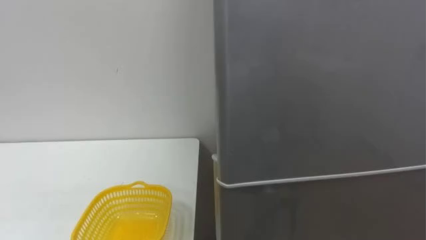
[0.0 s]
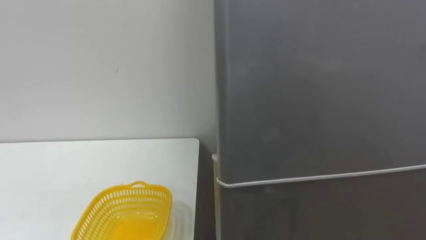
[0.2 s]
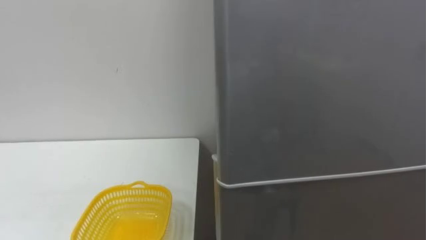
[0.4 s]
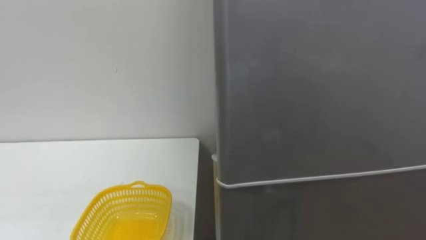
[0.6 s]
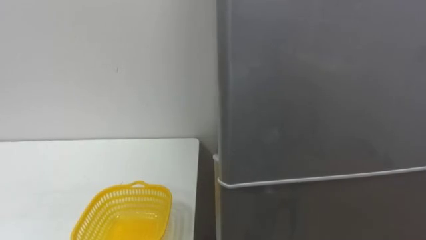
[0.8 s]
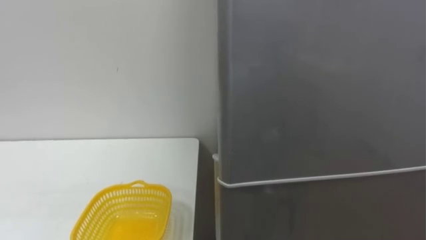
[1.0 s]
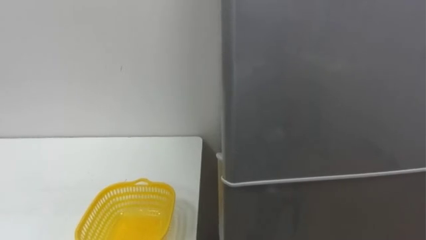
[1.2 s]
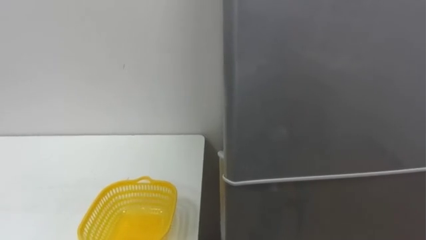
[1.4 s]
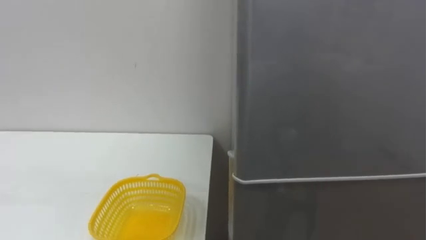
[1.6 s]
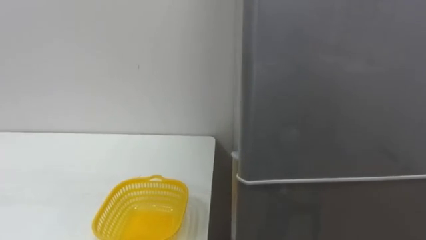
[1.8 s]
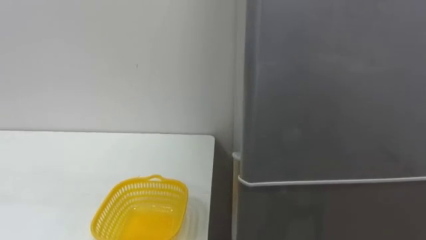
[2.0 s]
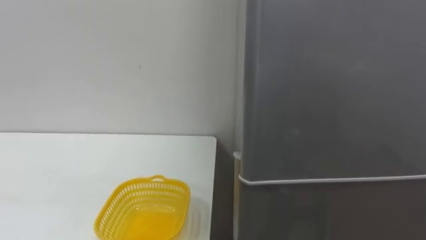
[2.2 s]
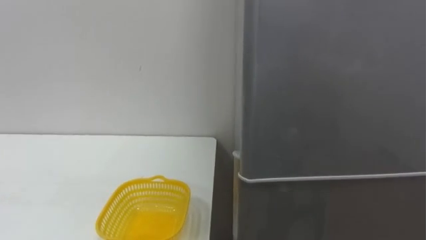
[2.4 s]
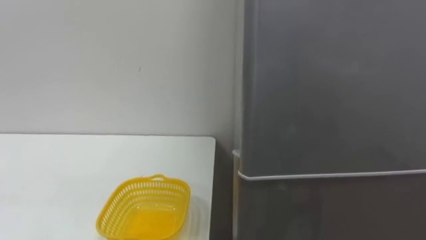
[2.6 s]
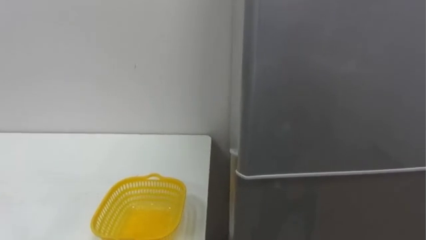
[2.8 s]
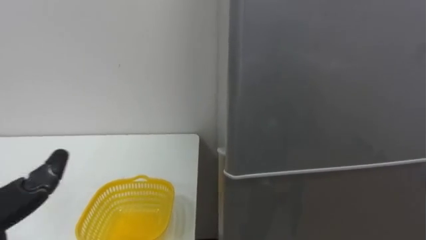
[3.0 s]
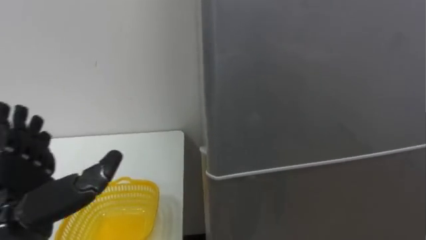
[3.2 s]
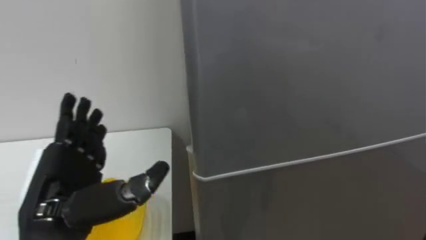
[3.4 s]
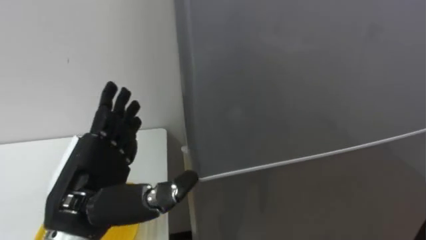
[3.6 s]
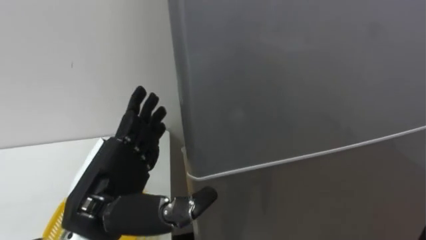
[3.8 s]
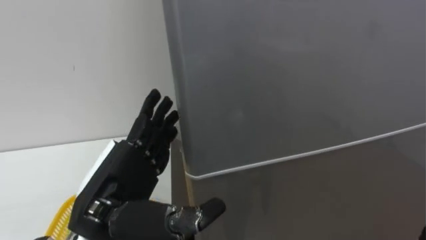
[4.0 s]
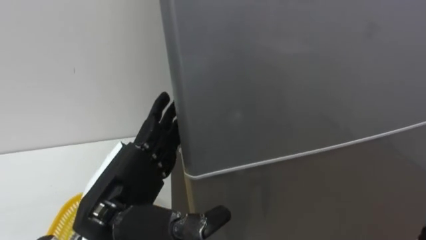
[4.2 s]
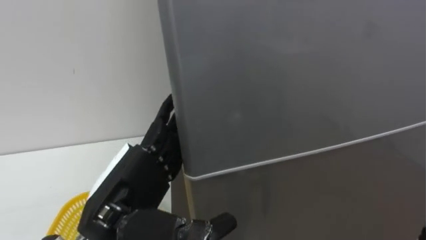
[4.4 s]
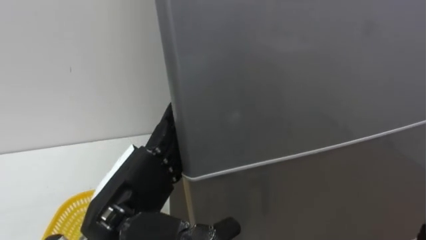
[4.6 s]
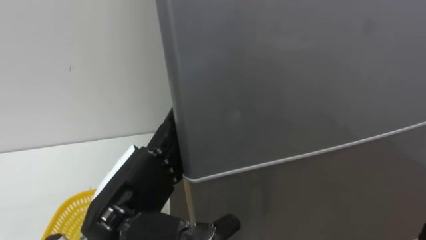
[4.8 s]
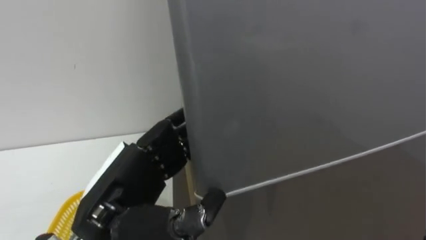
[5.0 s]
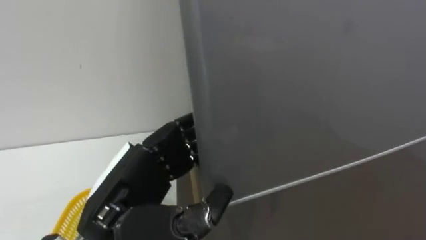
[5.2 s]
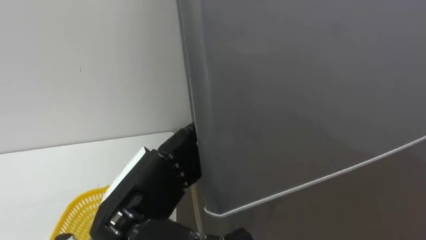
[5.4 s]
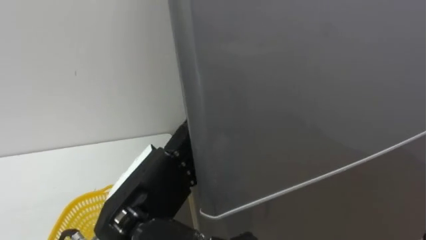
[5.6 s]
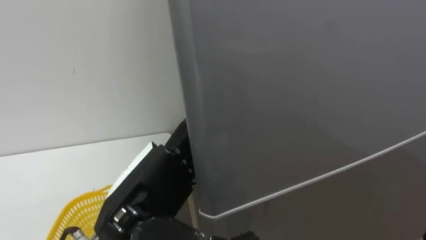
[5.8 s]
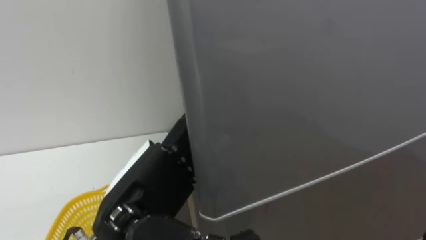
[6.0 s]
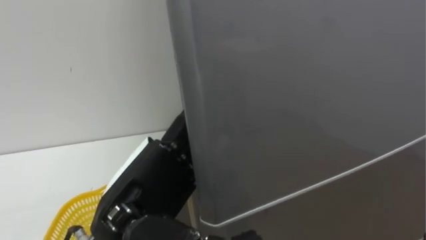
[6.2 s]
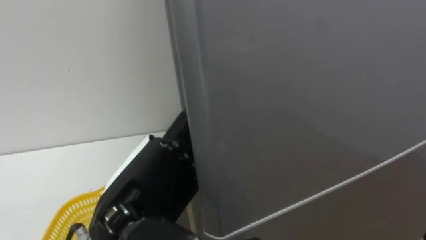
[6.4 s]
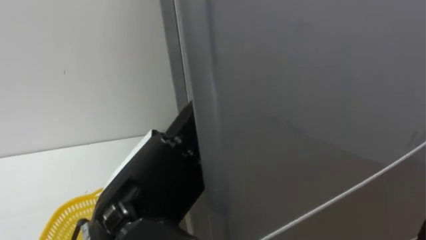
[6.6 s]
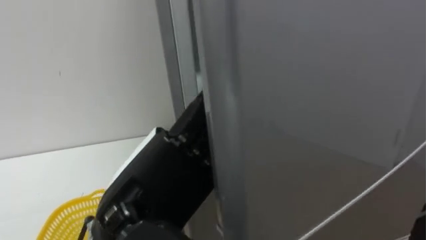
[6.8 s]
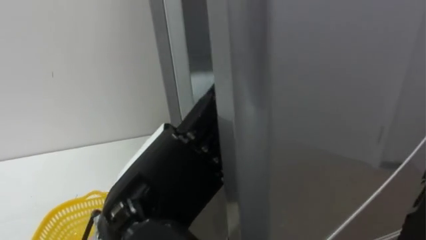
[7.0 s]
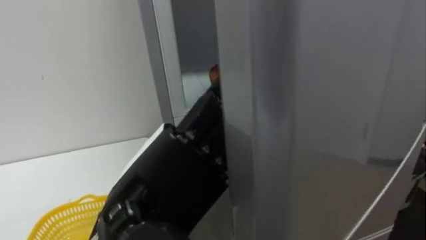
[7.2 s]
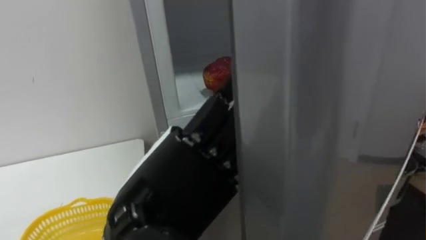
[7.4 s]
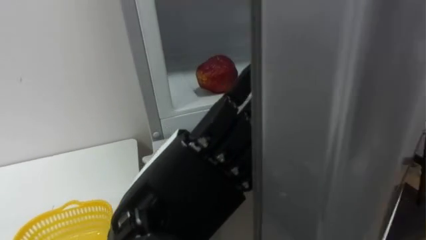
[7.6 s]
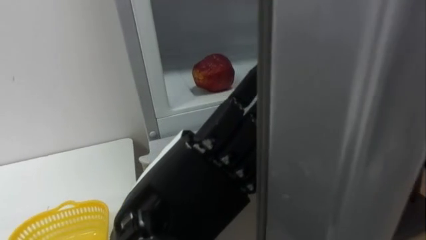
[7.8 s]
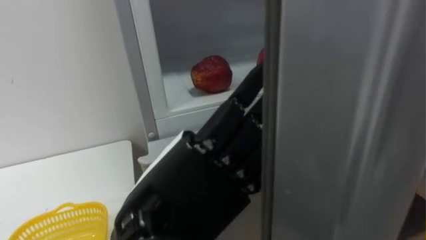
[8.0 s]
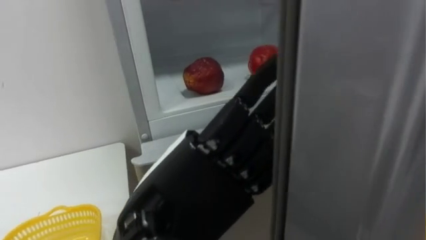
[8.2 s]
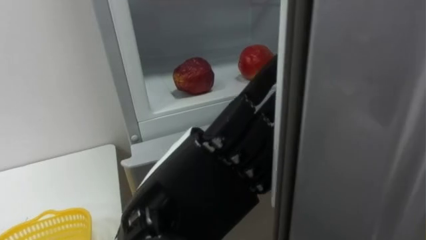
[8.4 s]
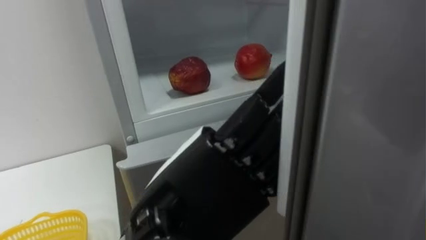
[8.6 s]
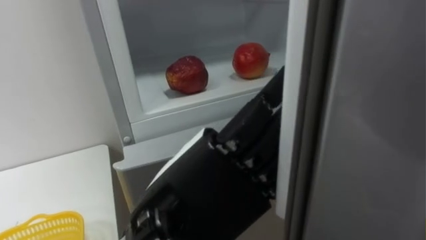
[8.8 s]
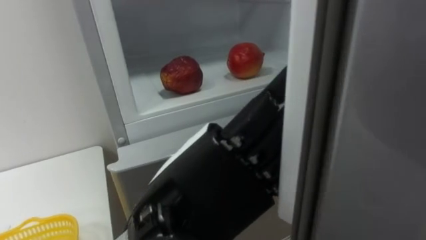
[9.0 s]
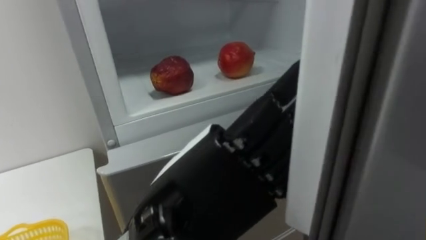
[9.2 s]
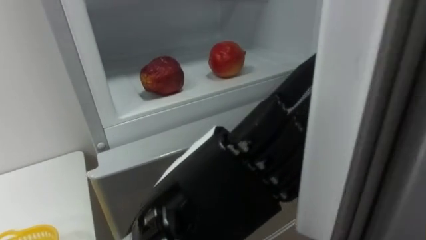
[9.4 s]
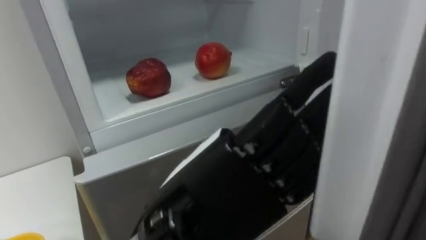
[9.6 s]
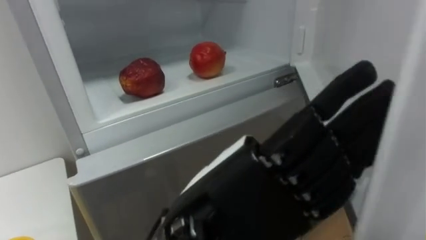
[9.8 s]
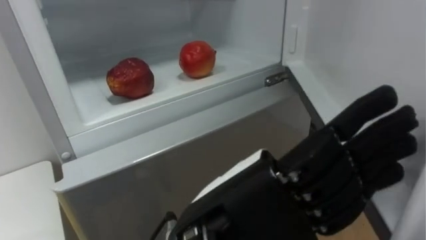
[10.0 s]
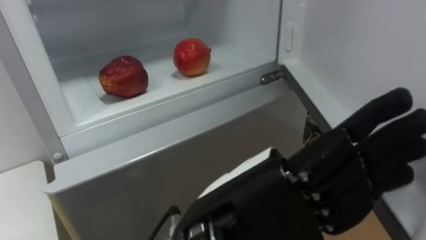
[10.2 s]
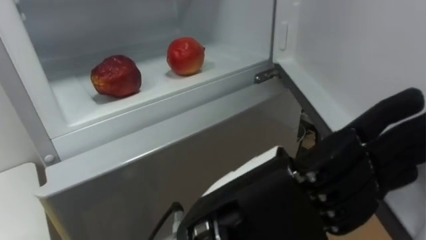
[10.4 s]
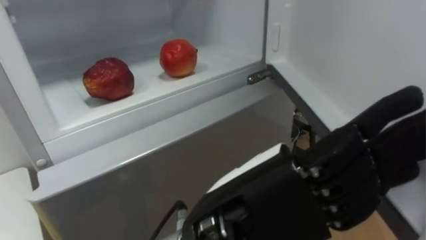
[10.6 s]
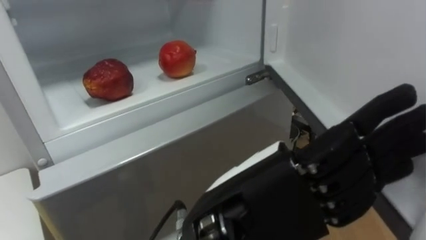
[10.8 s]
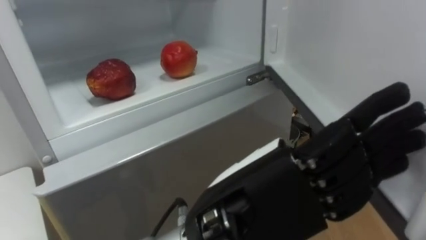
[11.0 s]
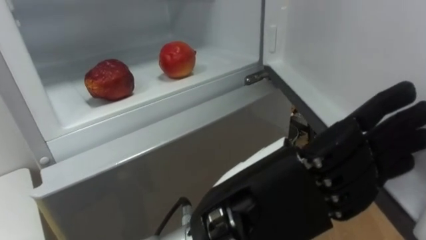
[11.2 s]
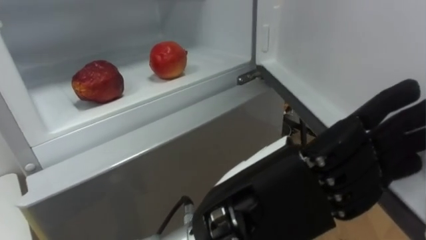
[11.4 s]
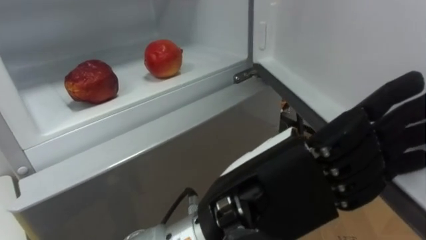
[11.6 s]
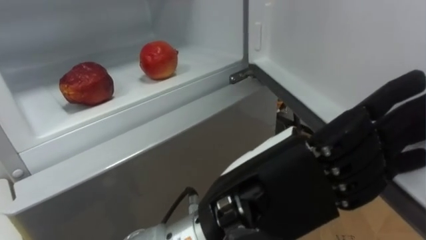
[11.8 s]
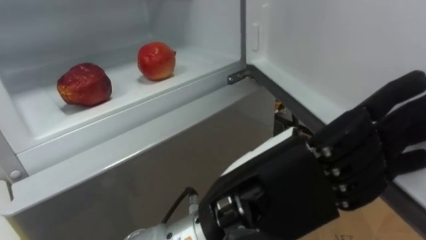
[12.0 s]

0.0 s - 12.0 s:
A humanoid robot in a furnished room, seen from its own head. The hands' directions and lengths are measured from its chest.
Task of the whole recording: Open the refrigerator door, take out the apple and the pomegranate, place them in the fruit basket on the left, and close the refrigerator door.
4.4 s - 6.0 s: The left hand closes, then opens again.
6.0 s - 7.6 s: The left hand ends up approximately 5 cm from where it was.

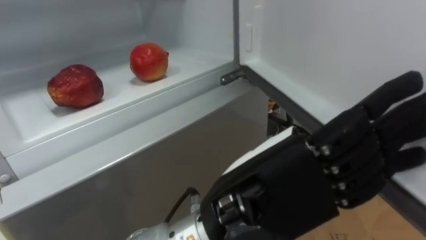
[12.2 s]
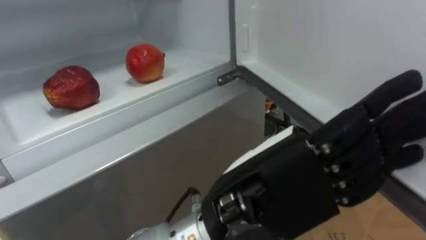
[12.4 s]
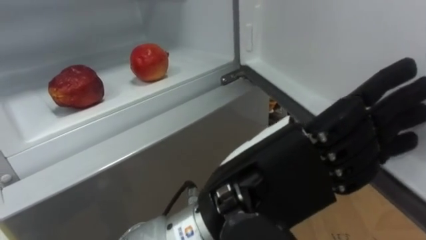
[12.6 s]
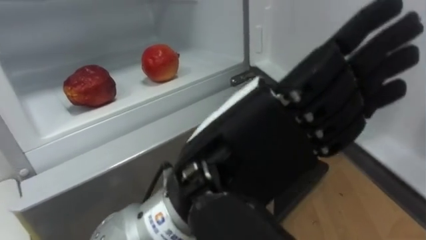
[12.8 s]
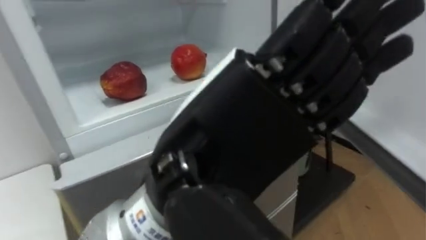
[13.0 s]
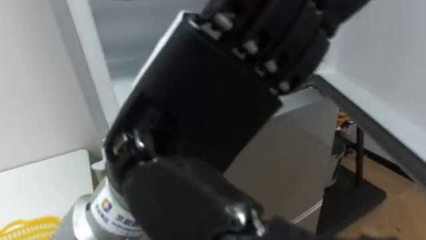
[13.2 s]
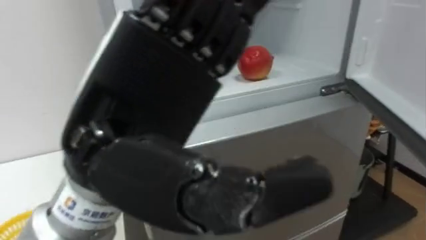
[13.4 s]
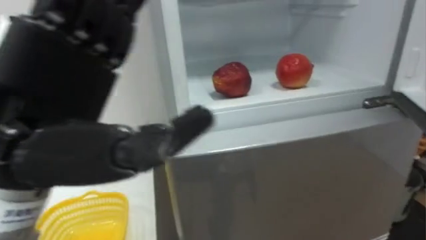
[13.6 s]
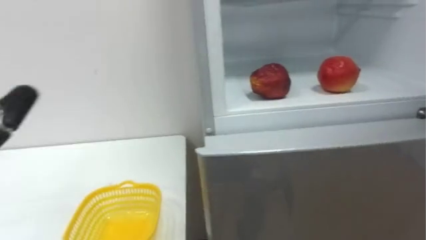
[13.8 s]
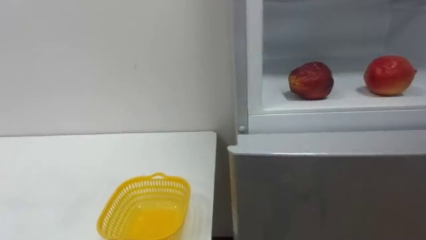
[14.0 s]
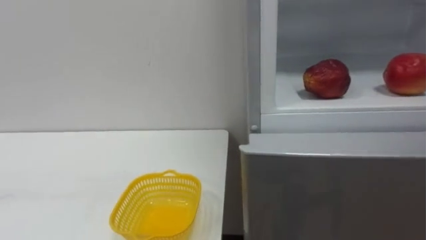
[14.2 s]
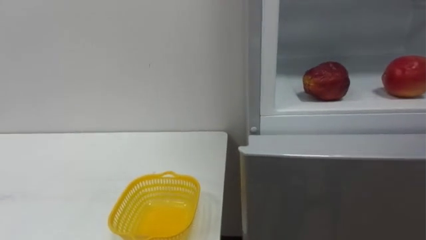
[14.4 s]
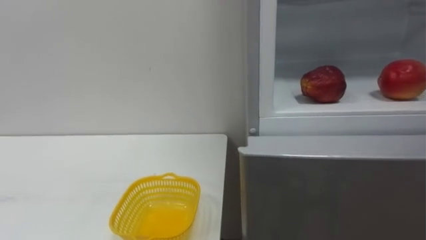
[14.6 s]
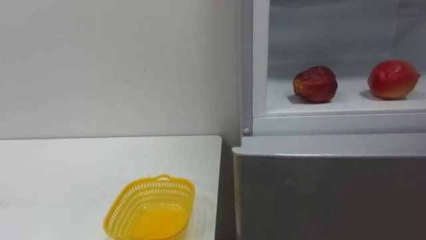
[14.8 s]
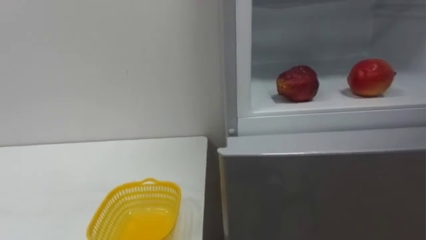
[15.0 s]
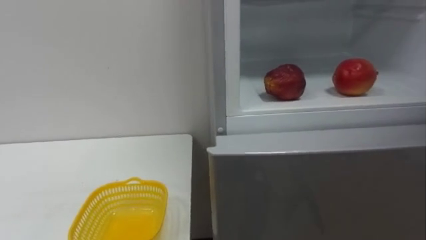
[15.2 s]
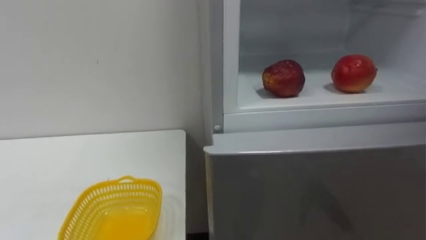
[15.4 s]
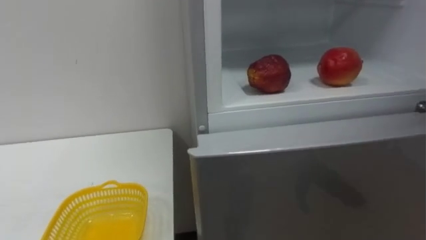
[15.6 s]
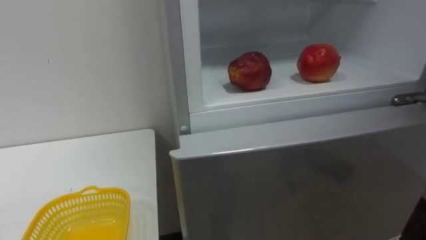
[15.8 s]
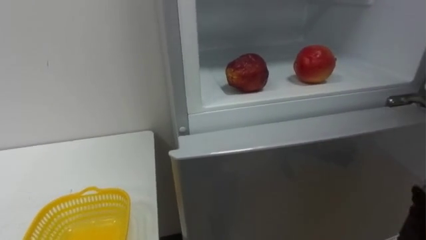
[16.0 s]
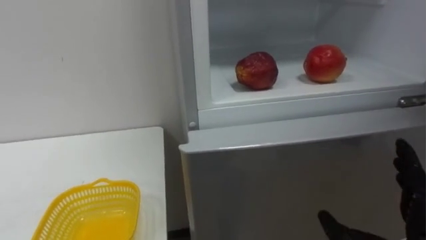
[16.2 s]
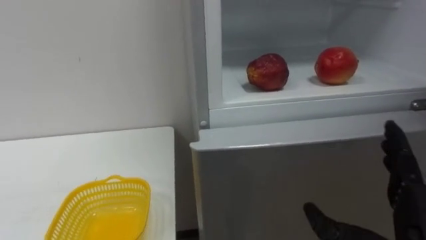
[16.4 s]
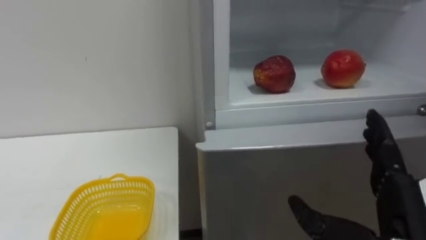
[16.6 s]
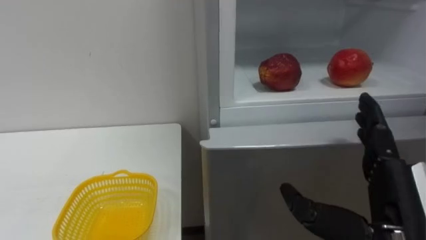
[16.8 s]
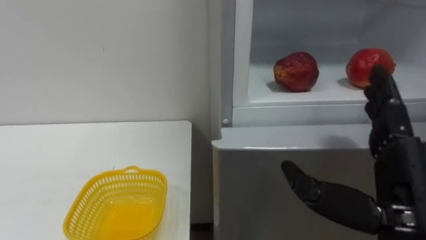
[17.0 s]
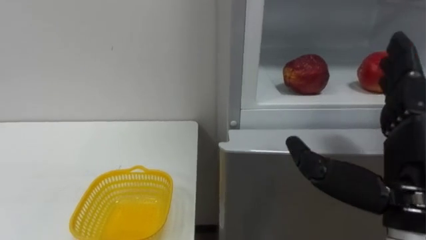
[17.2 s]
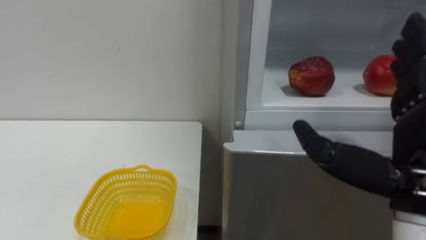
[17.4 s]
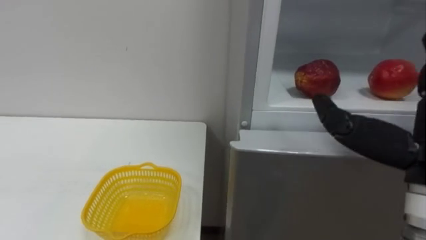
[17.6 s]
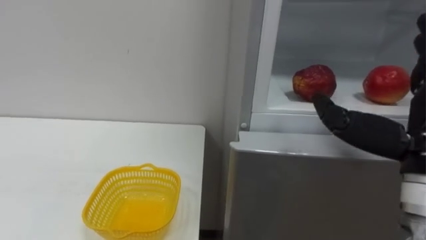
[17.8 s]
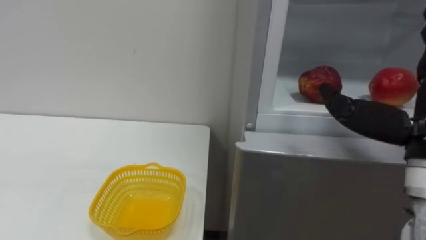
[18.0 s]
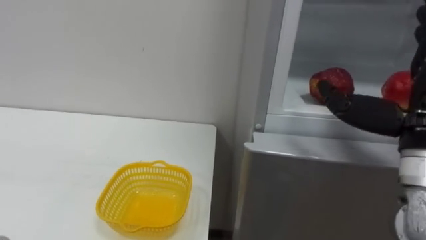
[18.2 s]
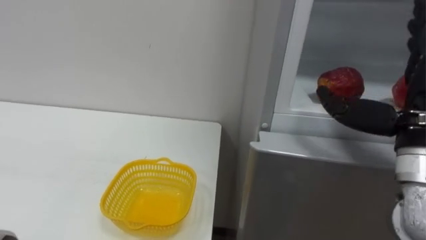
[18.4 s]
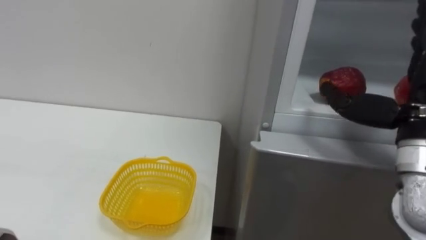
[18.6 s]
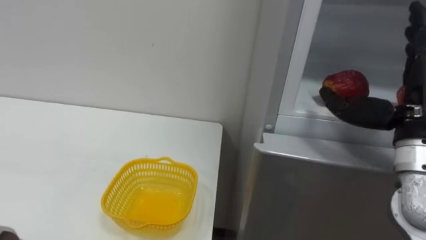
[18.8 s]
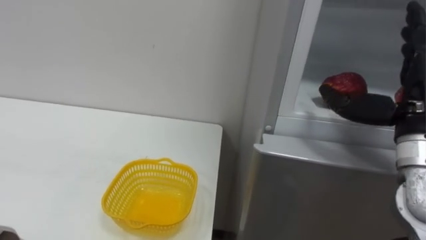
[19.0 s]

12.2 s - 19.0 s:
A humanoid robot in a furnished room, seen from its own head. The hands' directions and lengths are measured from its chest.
Task of the whole recording: Open the refrigerator door, take out the apple and the pomegranate, place them in the fruit basket on the left, and close the refrigerator door.
12.2 s - 13.6 s: The left hand moves to the left and upward, approximately 20 cm.
17.6 s - 19.0 s: The right hand goes some 10 cm forward.
